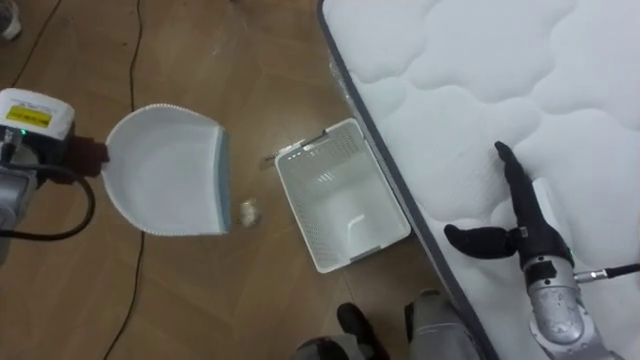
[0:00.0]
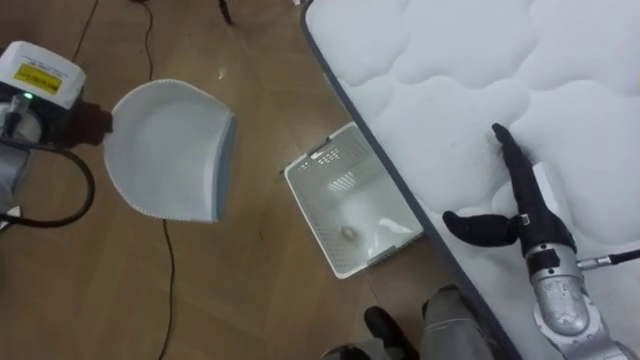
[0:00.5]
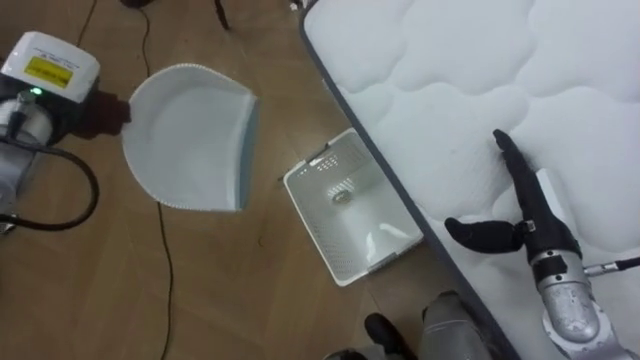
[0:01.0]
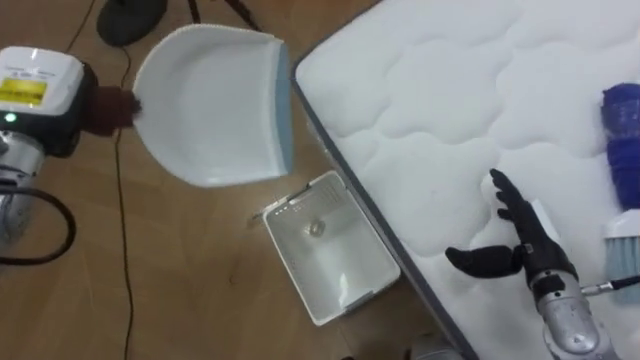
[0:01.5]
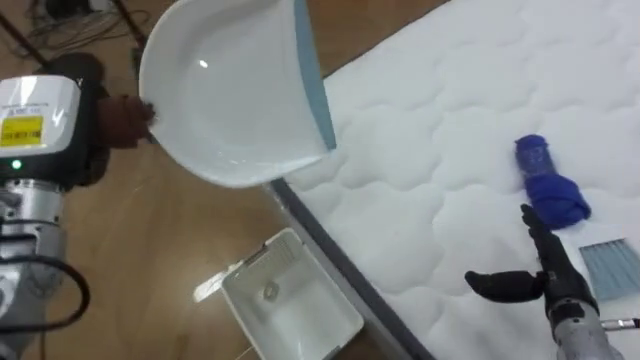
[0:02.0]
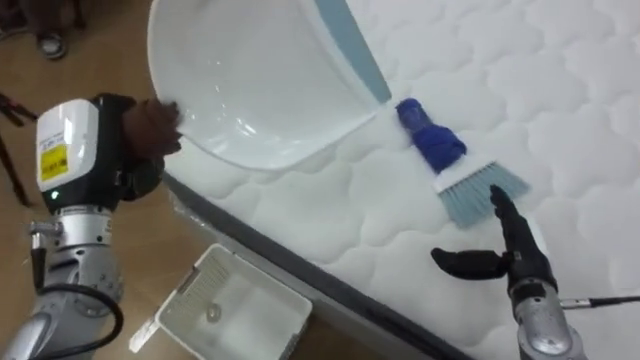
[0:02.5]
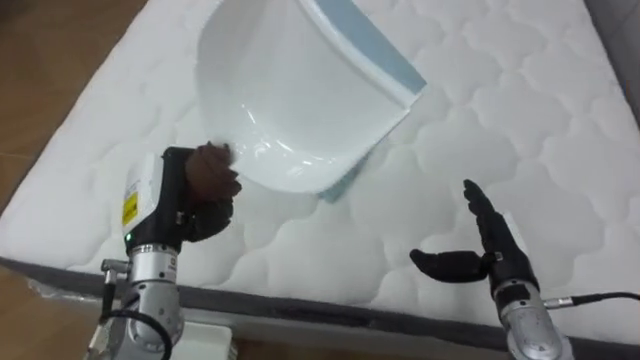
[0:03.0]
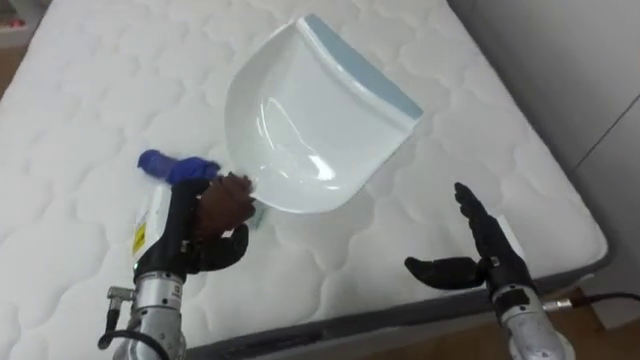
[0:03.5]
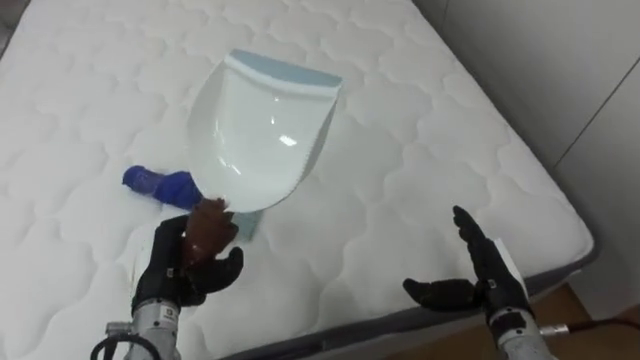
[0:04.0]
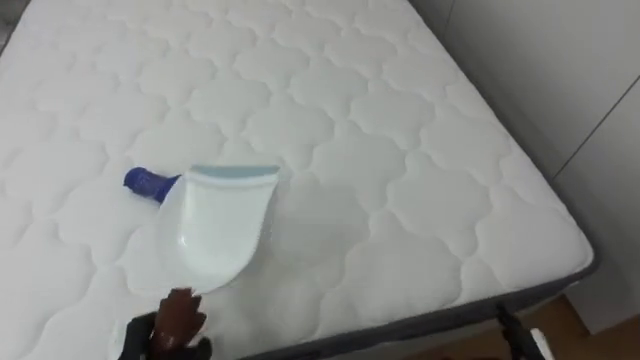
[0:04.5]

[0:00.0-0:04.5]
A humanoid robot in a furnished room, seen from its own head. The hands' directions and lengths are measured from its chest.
Task of the whole recording: Pick up the brush on your right and the dustpan on your left. Use the brush to sweep the crumpled paper on the bed into the dustpan, then turn left and empty it into the basket.
0:00.0 to 0:02.0: The left hand is displaced to the right, backward and upward by roughly 10 cm, while the right hand heads downward, covering roughly 5 cm.
0:02.0 to 0:04.5: The robot rotates some 70 degrees to its right. The left hand heads downward and backward, covering some 30 cm.

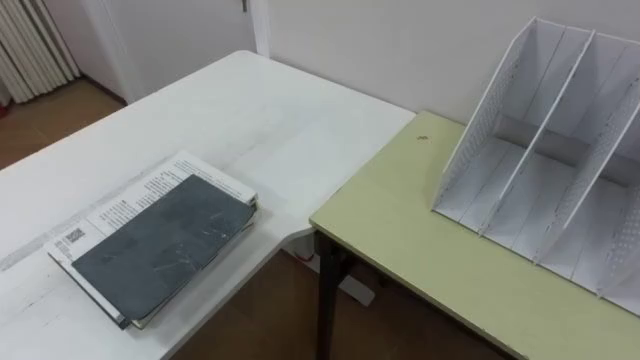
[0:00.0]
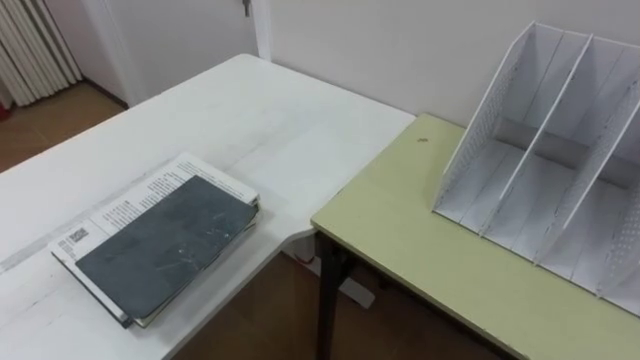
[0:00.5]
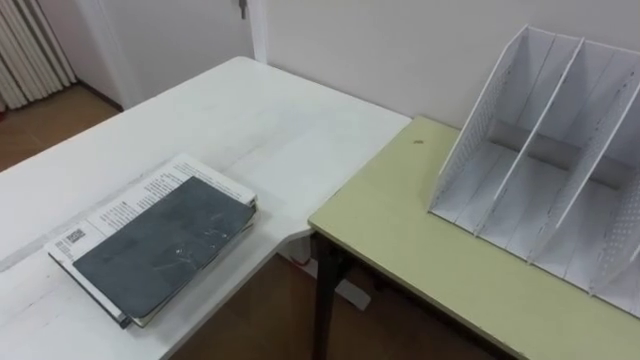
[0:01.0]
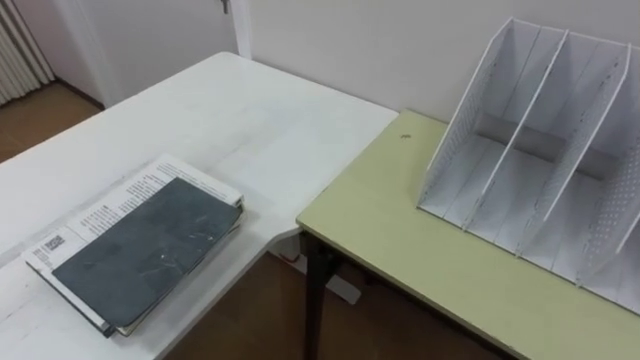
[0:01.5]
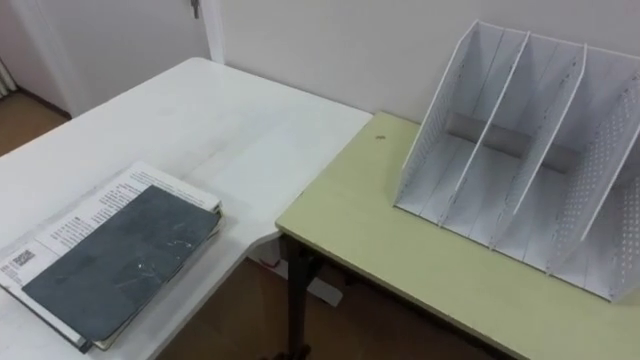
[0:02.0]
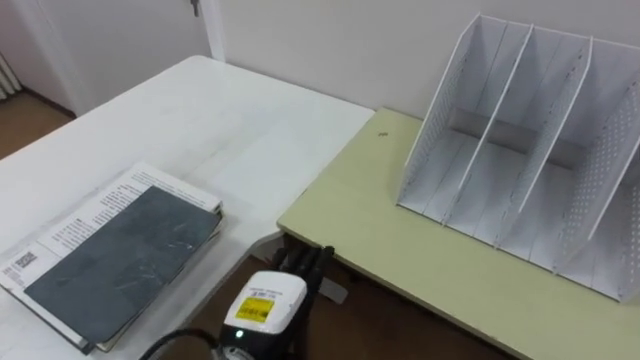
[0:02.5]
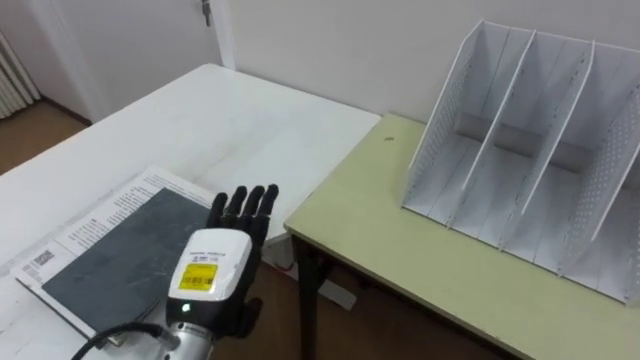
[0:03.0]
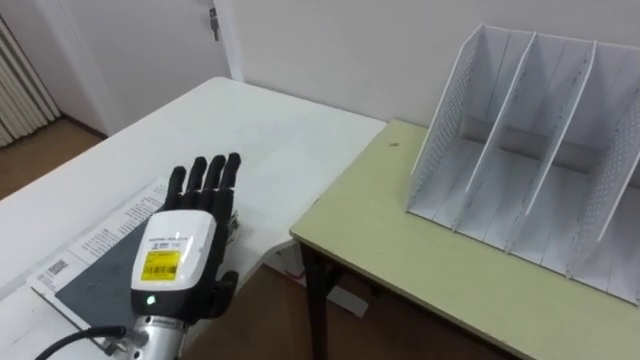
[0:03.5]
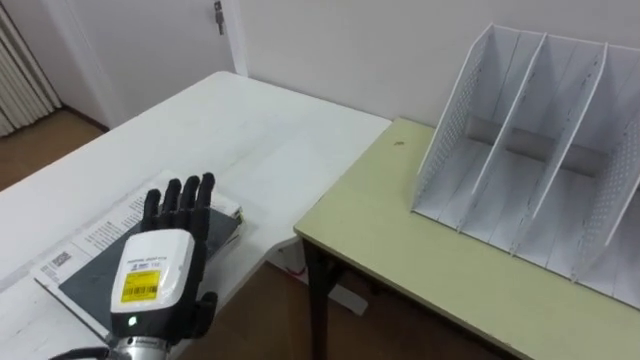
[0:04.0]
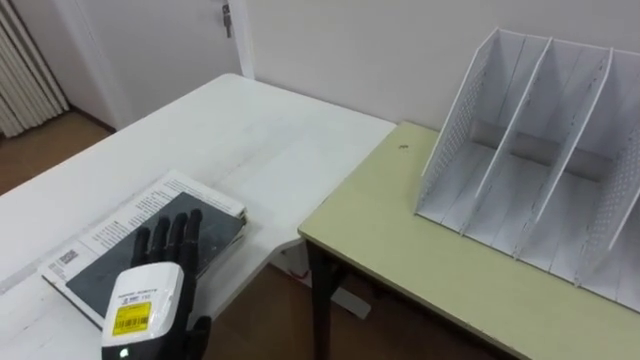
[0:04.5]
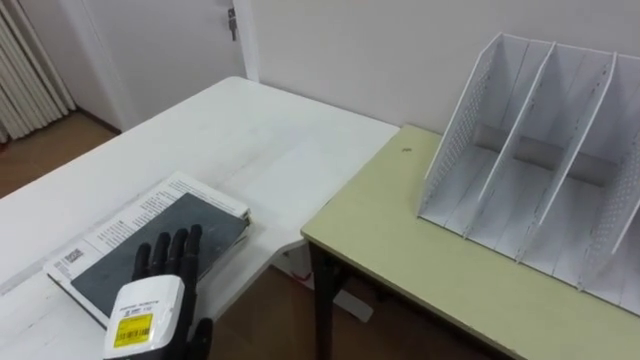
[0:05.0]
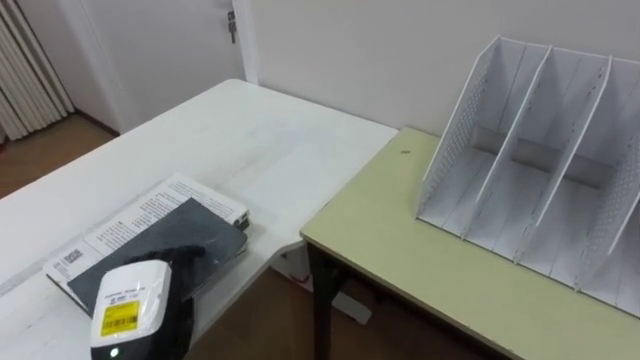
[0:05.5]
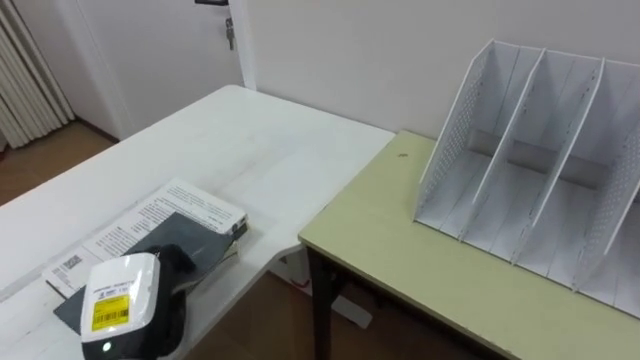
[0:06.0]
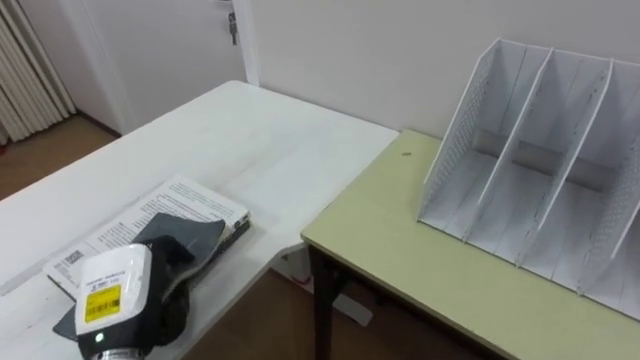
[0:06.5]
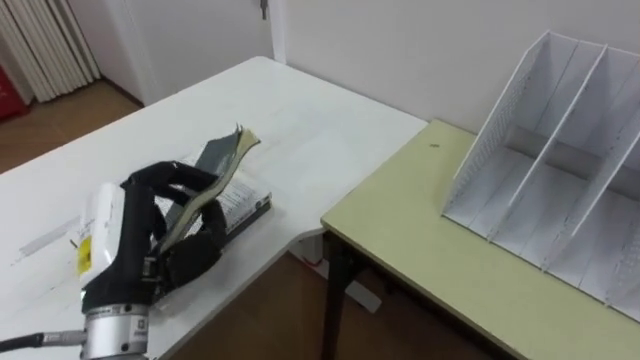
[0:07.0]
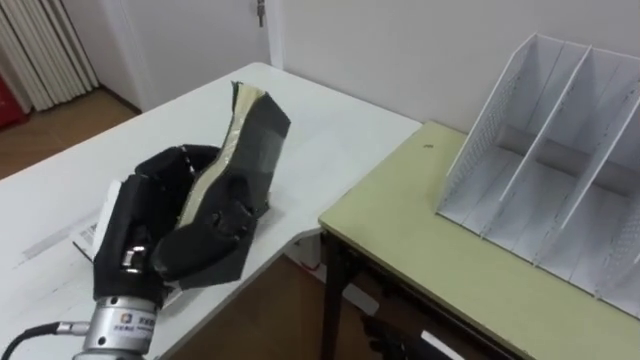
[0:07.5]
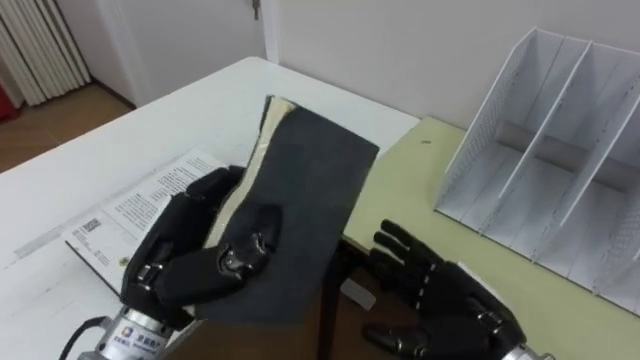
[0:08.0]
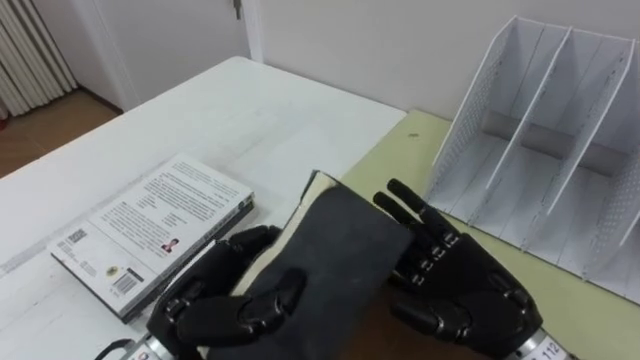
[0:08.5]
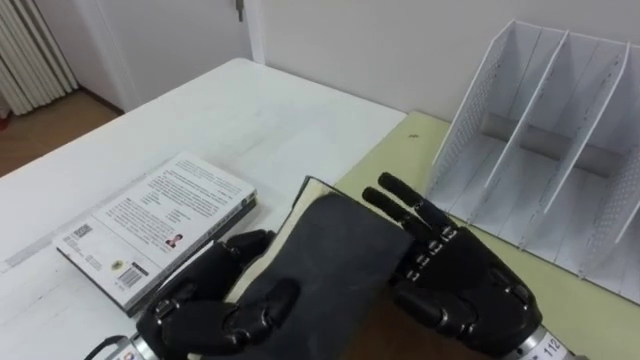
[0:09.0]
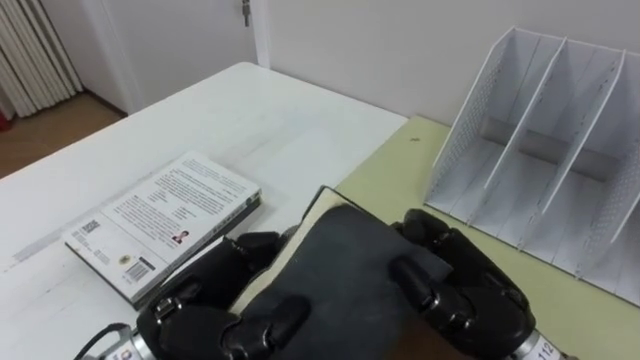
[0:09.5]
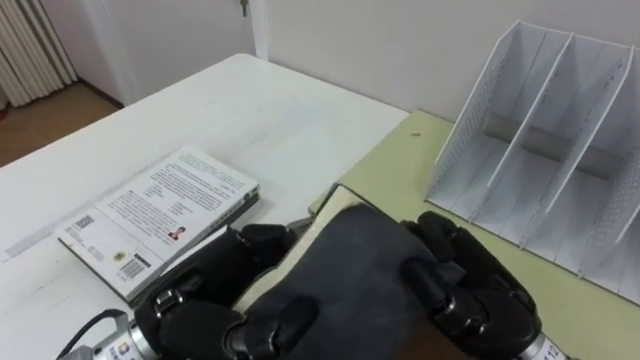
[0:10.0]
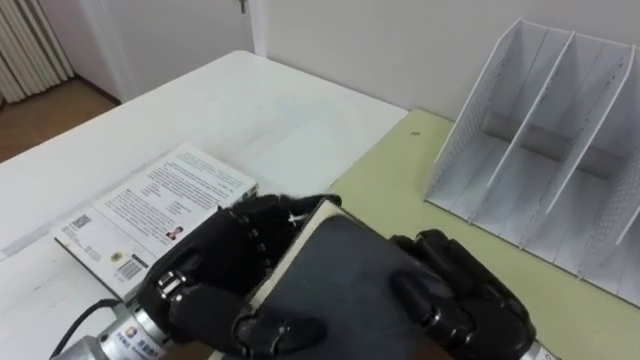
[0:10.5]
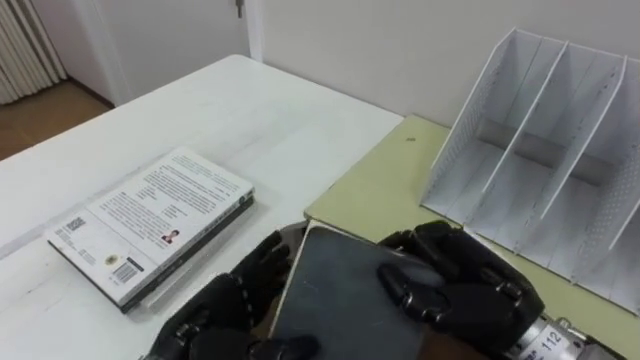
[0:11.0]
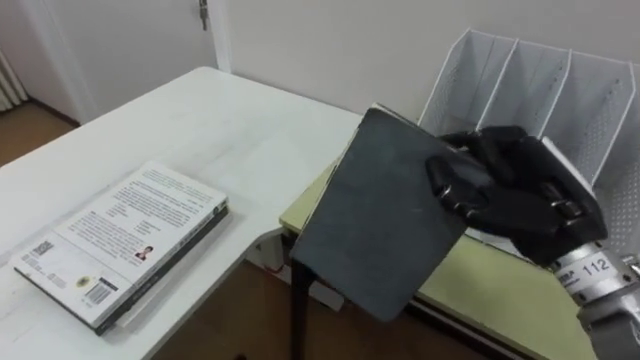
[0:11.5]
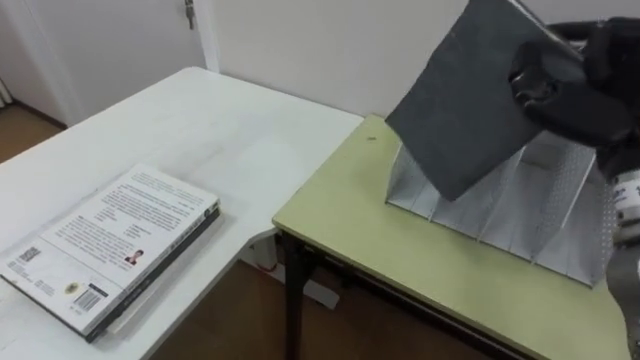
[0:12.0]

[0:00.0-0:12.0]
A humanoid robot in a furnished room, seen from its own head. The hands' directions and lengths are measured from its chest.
Task of the whole recording: Put the books on the table onto the bookshelf.
0:04.0 to 0:06.0: The left hand moves some 5 cm, and closes up.
0:06.0 to 0:08.0: The left hand heads upward and to the right, covering some 10 cm.
0:08.0 to 0:10.0: The right hand travels upward by some 10 cm, and closes its fingers.
0:10.0 to 0:12.0: The right hand heads upward, to the right and forward, covering roughly 20 cm.

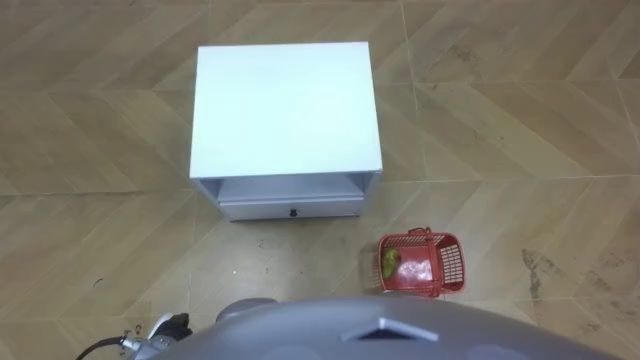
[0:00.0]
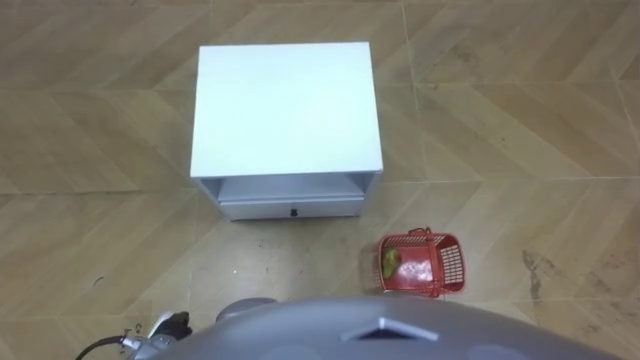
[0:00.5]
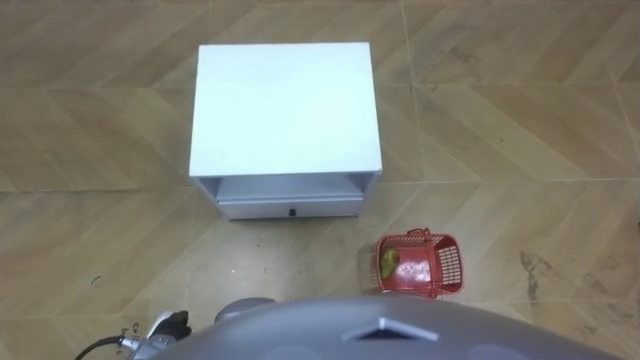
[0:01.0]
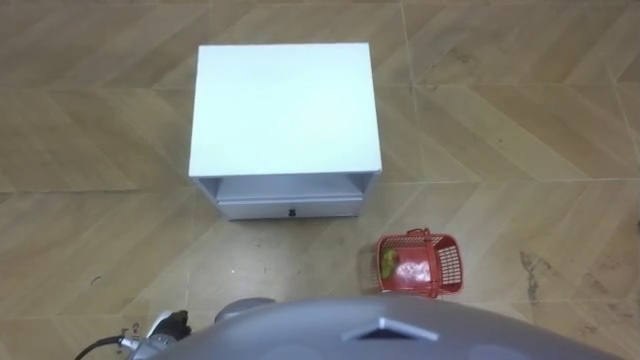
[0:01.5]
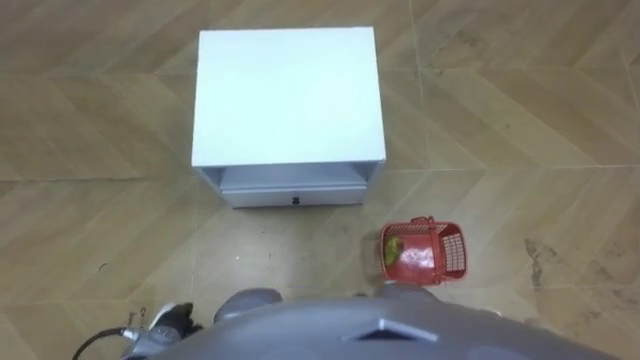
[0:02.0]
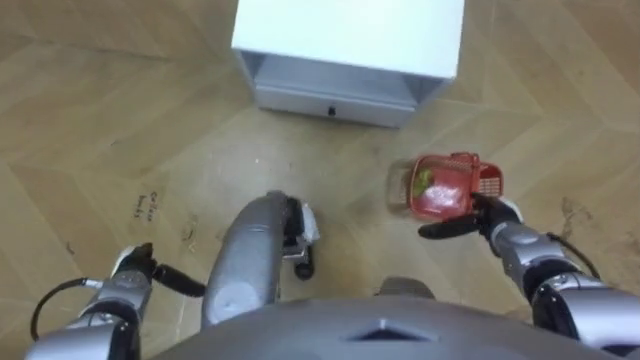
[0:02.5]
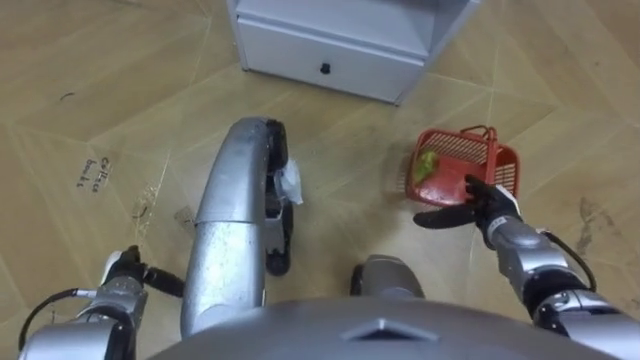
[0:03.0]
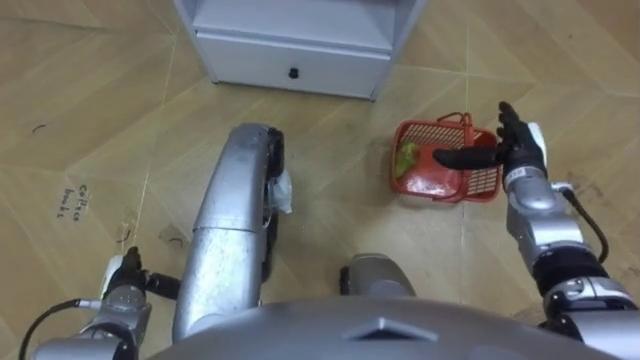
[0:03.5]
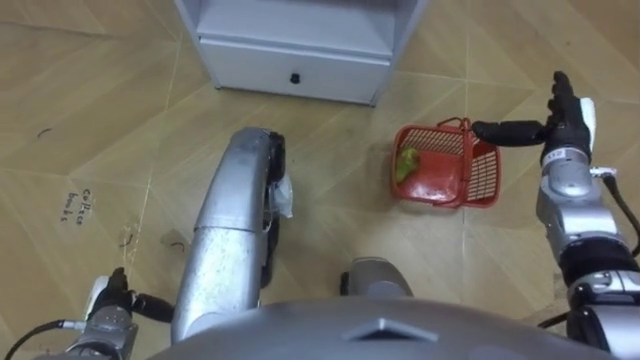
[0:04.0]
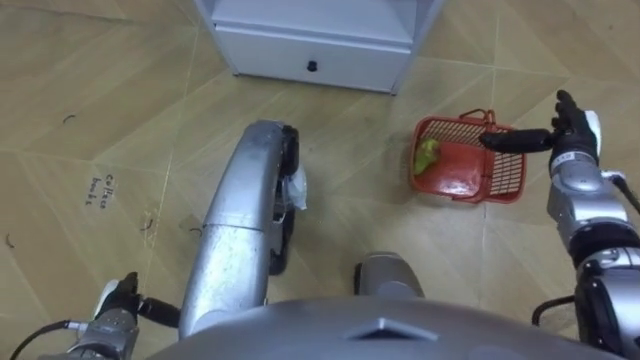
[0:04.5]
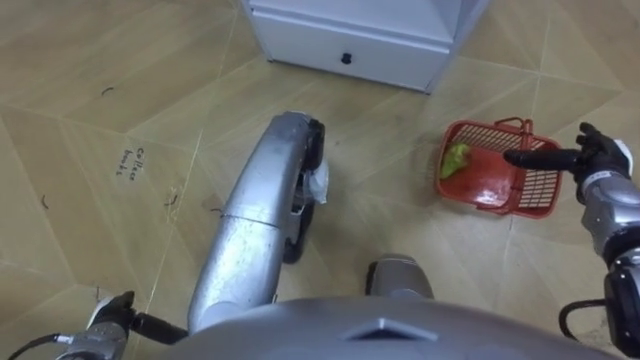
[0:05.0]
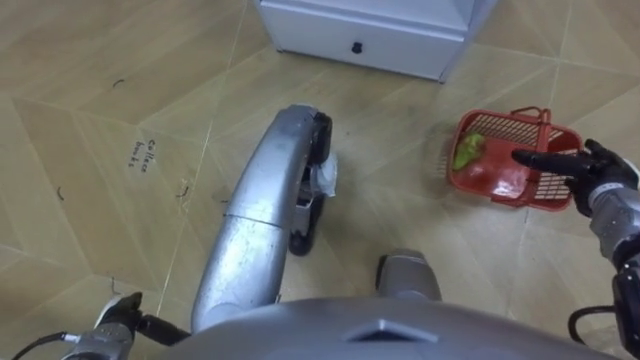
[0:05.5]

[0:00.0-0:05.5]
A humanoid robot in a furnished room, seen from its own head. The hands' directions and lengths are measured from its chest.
Task of the whole recording: Pick up the fruit basket from the floor and place it on the cabinet.
0:02.0 to 0:03.5: The right hand is displaced forward and upward by about 30 cm. Meanwhile the left hand is displaced forward and to the left by some 10 cm.
0:03.5 to 0:05.5: The left hand heads backward, covering about 5 cm. The right hand travels to the right by approximately 10 cm.
